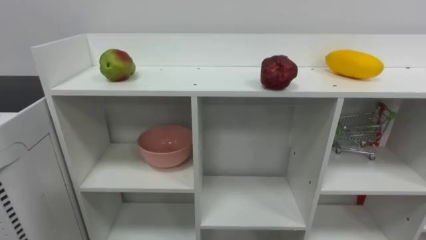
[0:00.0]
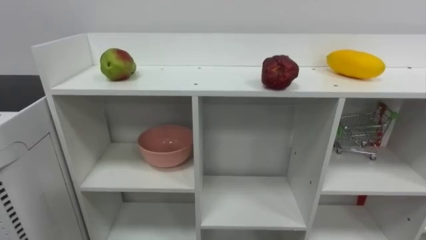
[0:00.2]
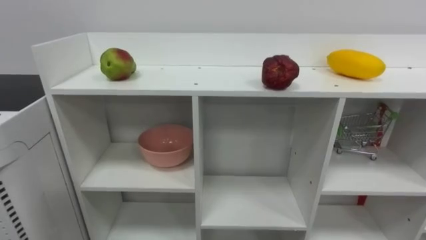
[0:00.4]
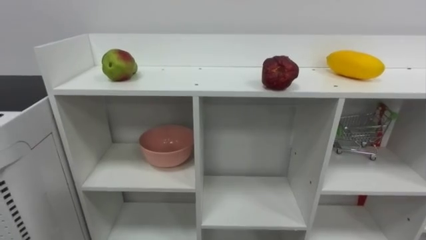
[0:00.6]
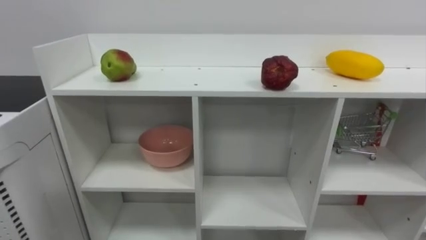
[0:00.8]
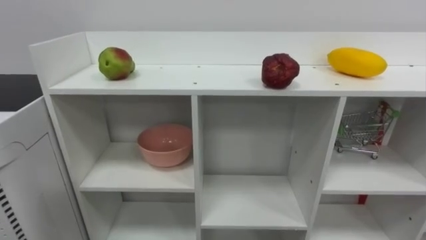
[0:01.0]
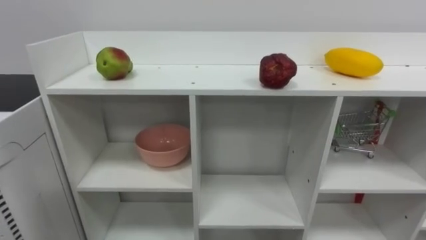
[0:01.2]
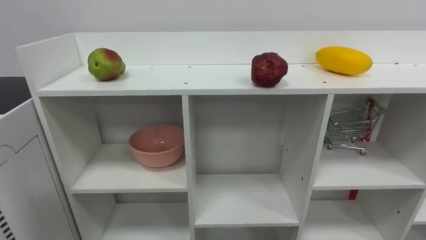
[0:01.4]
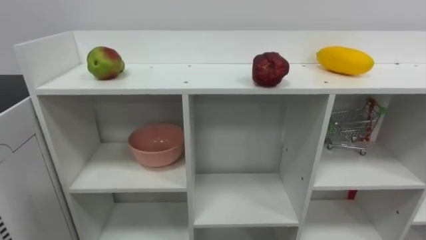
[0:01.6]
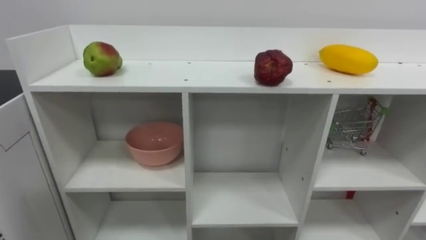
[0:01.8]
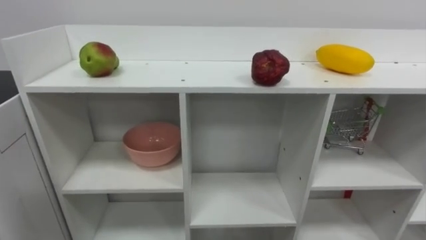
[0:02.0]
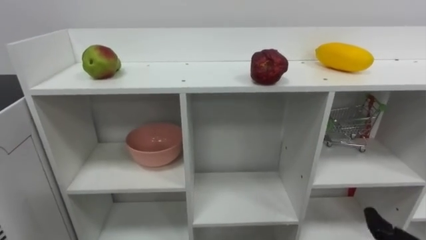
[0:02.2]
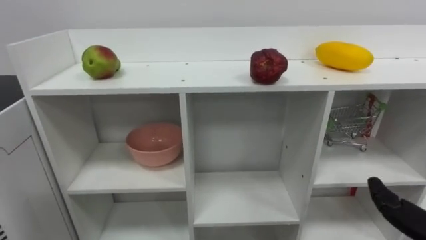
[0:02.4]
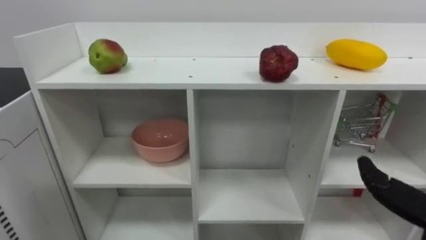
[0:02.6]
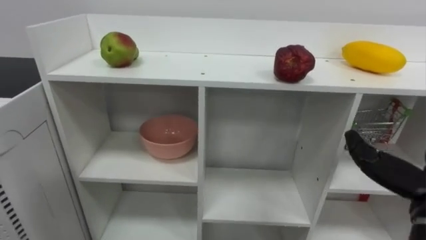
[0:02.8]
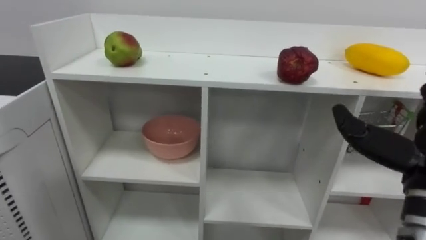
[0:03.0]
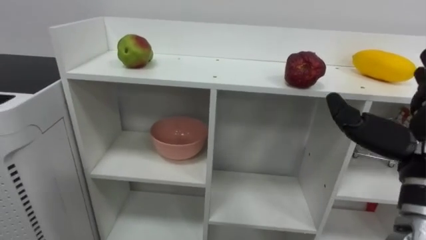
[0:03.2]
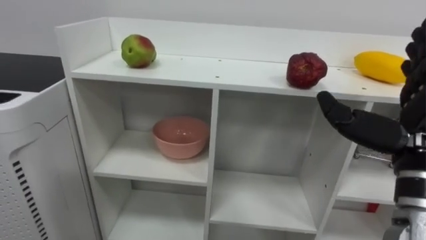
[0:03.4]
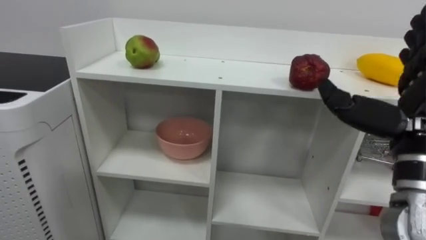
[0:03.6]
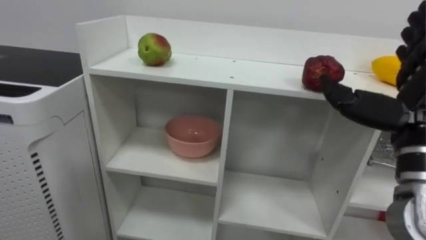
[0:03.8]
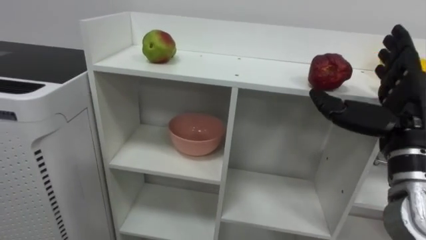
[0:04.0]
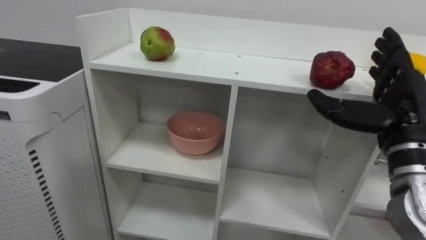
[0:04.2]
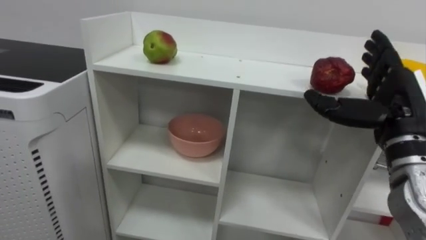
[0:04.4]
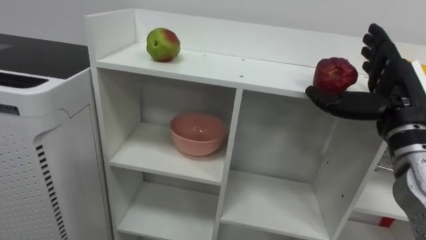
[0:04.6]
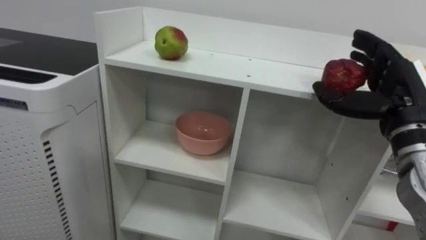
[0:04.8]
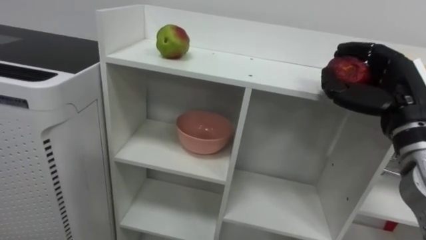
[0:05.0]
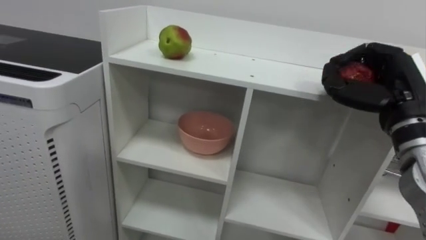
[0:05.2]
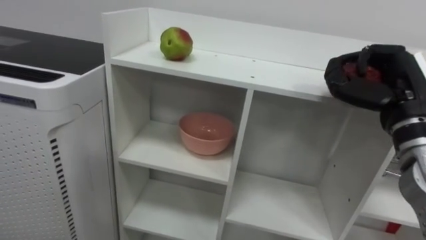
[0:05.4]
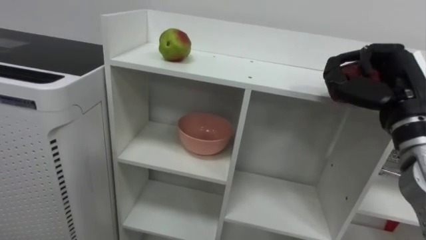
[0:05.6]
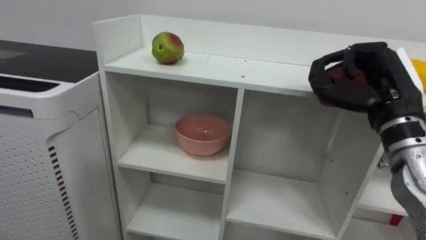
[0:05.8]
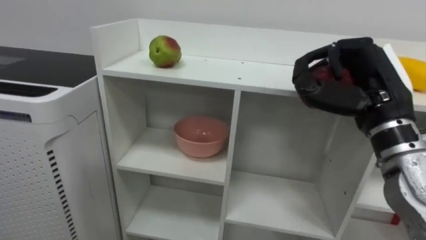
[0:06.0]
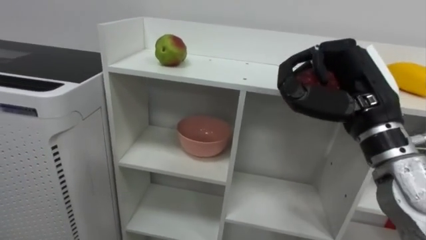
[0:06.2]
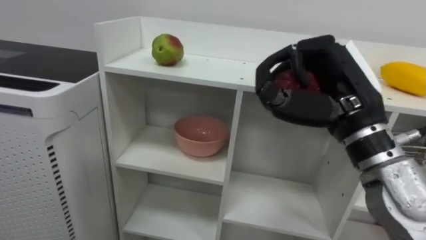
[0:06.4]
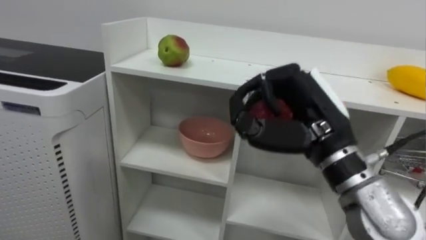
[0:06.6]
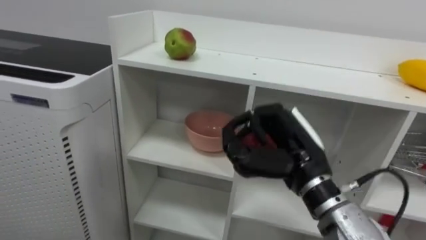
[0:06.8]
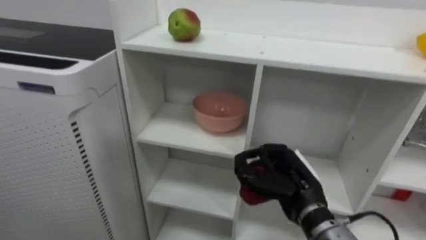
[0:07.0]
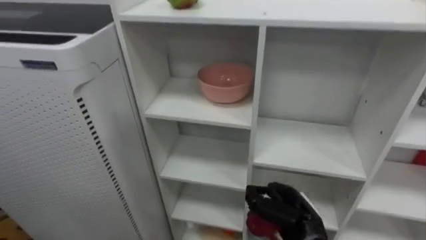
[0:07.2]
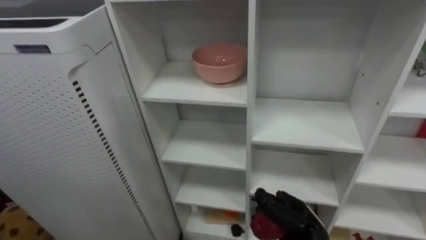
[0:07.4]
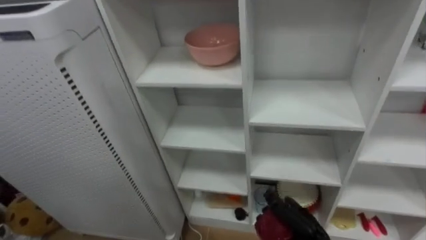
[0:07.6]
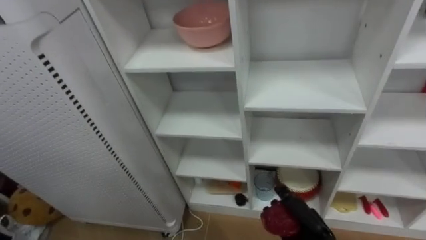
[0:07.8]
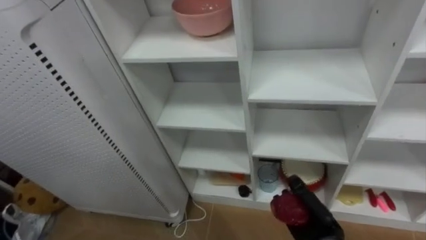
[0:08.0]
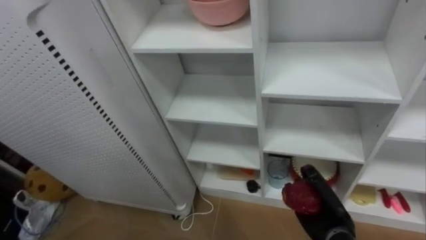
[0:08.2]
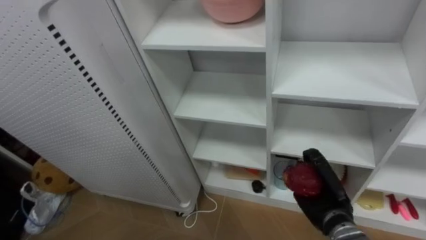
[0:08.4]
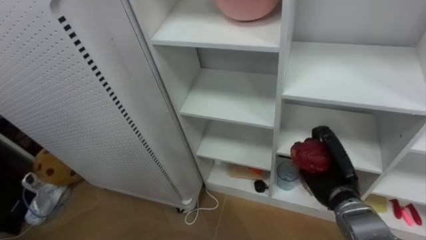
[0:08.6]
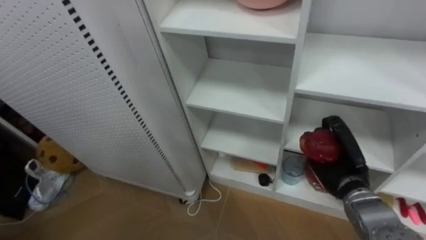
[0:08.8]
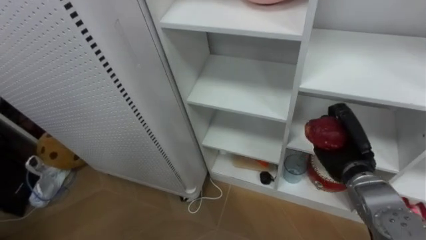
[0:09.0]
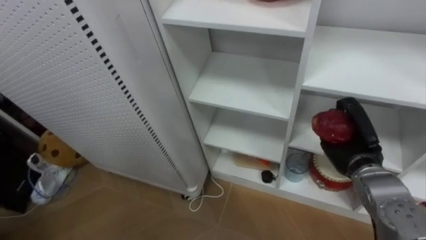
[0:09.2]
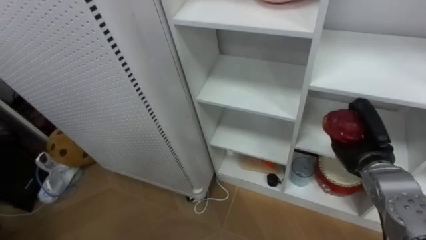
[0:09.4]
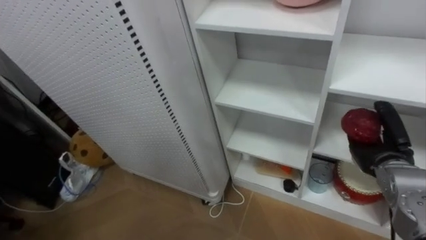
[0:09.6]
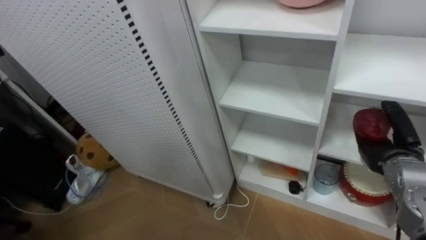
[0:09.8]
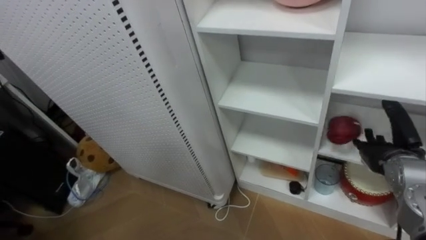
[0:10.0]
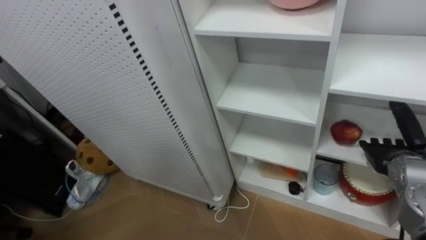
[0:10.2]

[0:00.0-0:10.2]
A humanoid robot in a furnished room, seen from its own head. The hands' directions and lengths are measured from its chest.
Task of the whole recording: Put the apple in the cell in the second column from the left and the second row from the top.
0:04.4 to 0:05.8: The right hand closes up.
0:05.8 to 0:07.2: The right hand moves downward and to the left, about 25 cm.
0:07.2 to 0:08.8: The right hand shifts approximately 10 cm to the right and forward.
0:08.8 to 0:10.2: The right hand travels to the right by roughly 10 cm, and opens.

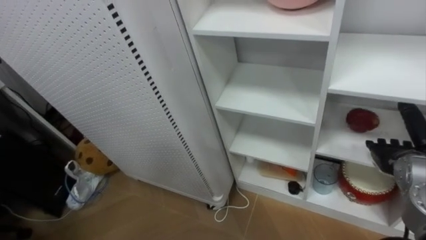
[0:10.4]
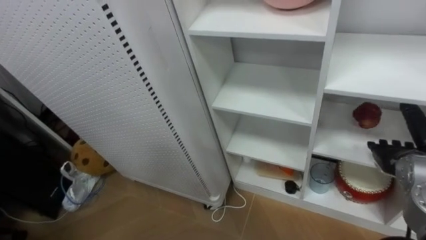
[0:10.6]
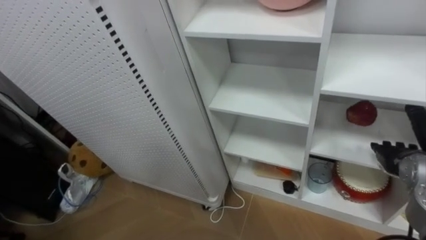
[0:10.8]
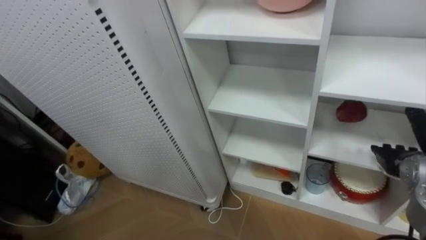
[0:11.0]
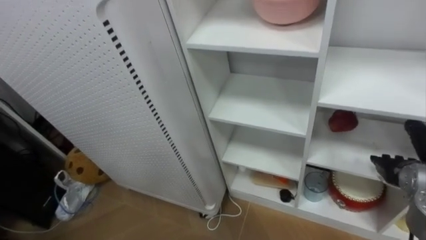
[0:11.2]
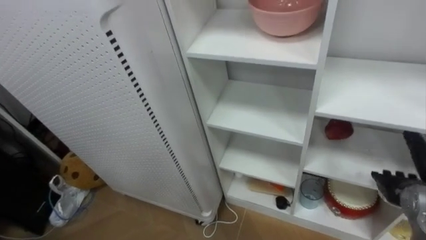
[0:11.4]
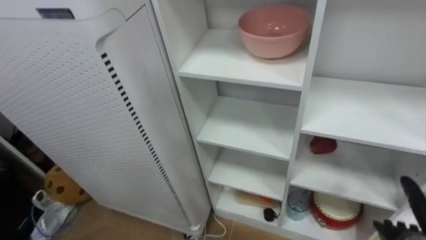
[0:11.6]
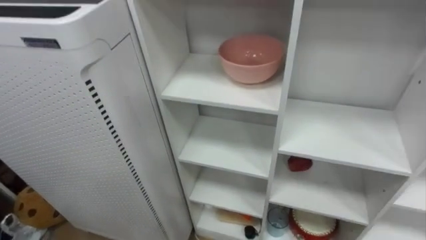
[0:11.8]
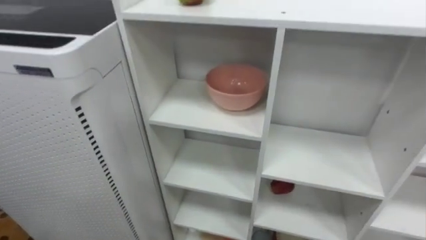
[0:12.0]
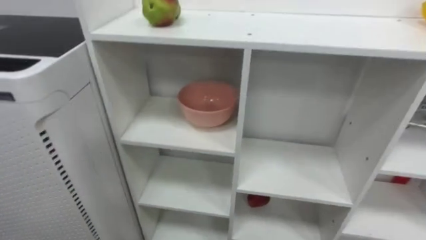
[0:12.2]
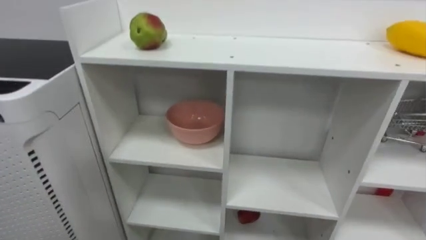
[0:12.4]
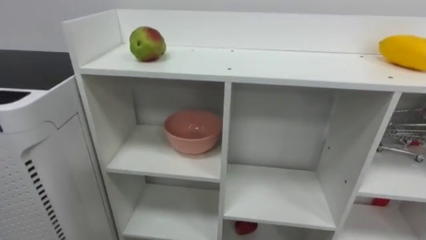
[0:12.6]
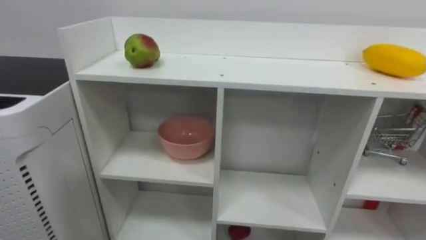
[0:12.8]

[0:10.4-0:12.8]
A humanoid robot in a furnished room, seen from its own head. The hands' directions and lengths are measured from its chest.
Task of the whole recording: Put the apple in the cell in the second column from the left and the second row from the top.
0:10.4 to 0:11.6: The right hand shifts roughly 15 cm downward and backward.

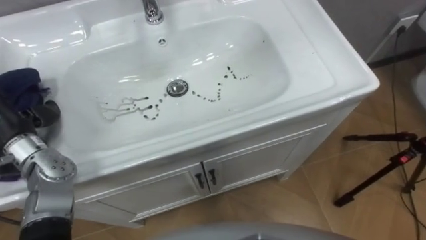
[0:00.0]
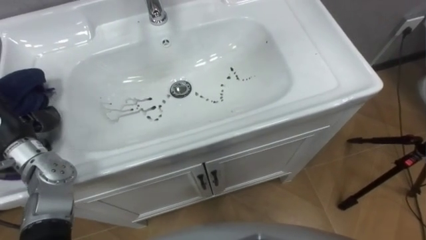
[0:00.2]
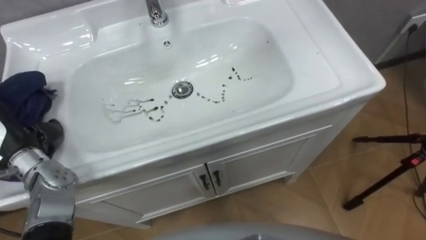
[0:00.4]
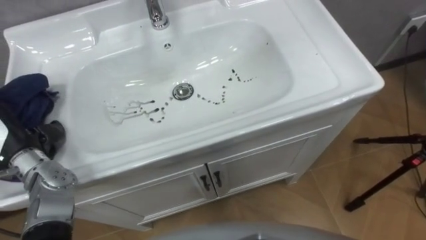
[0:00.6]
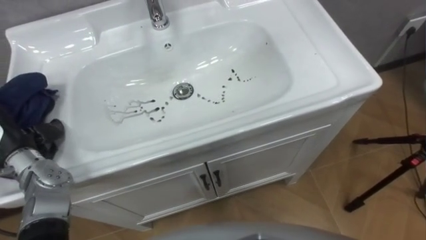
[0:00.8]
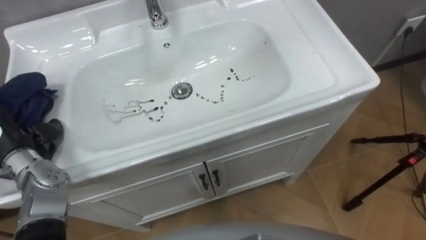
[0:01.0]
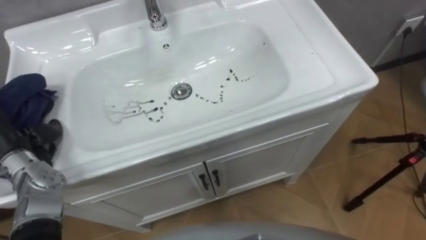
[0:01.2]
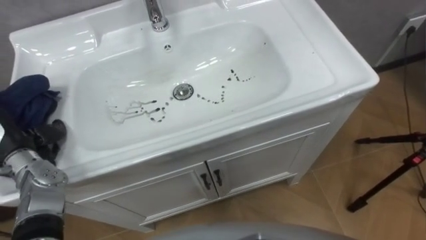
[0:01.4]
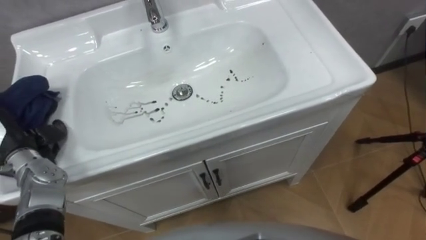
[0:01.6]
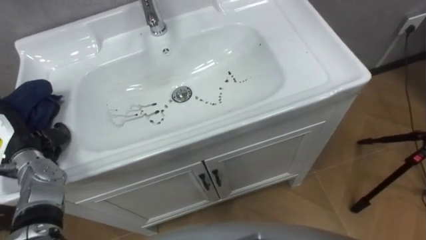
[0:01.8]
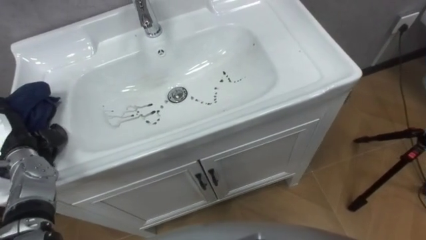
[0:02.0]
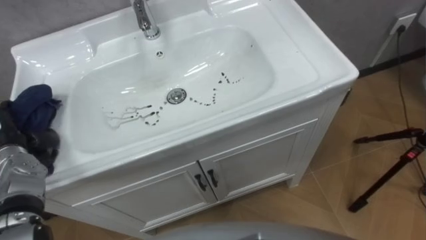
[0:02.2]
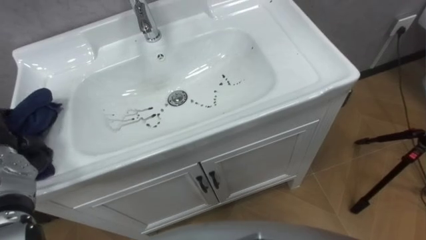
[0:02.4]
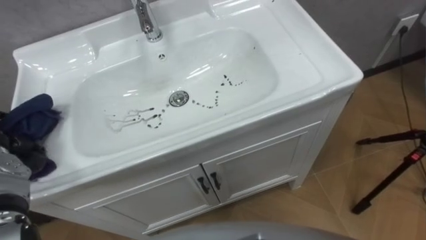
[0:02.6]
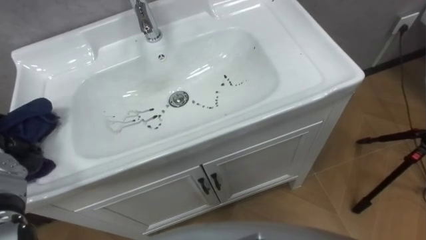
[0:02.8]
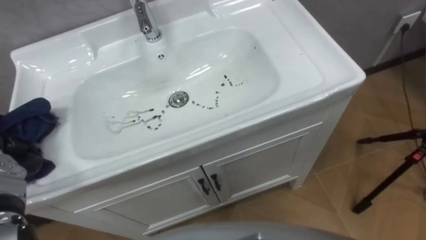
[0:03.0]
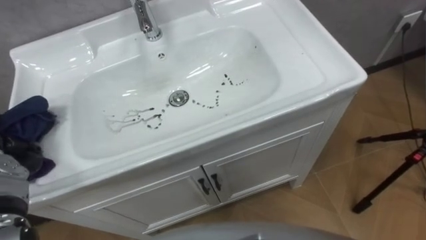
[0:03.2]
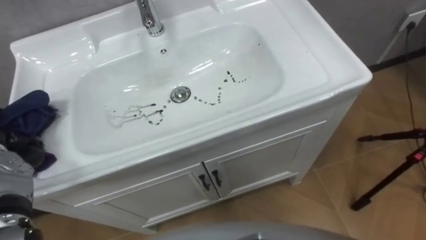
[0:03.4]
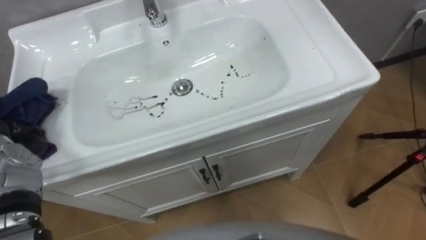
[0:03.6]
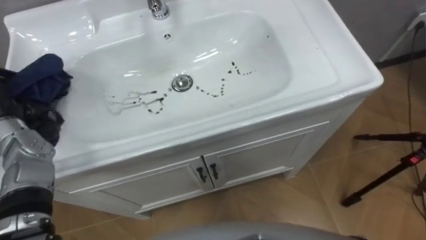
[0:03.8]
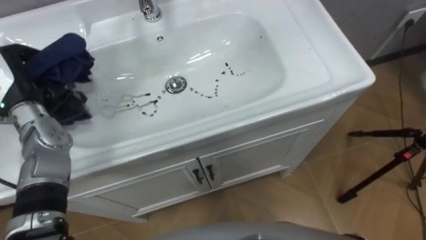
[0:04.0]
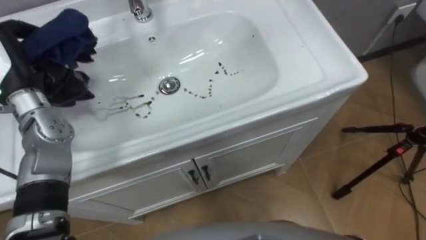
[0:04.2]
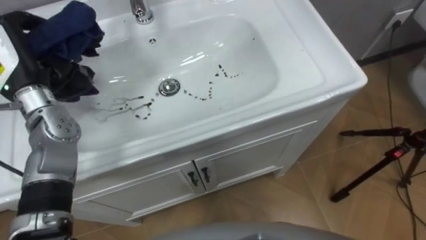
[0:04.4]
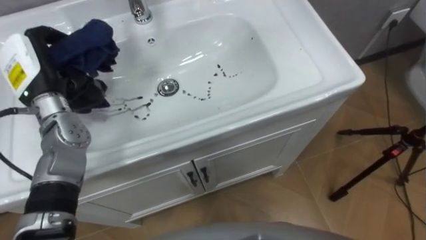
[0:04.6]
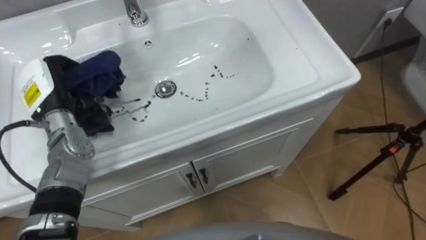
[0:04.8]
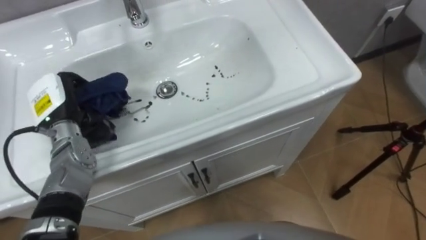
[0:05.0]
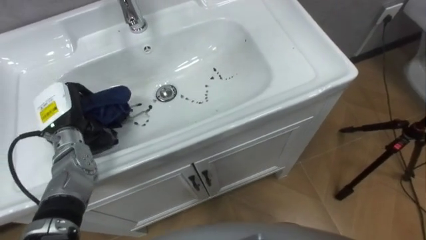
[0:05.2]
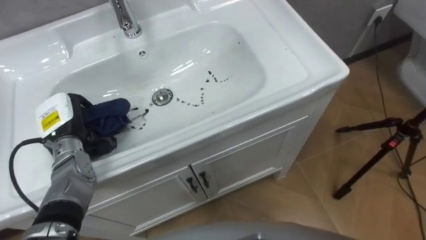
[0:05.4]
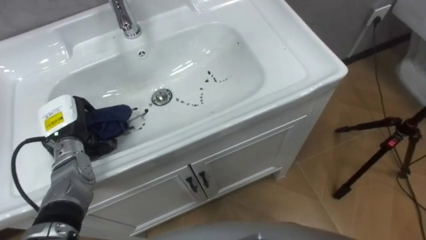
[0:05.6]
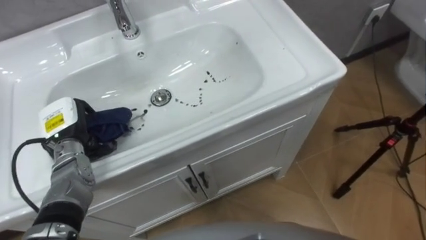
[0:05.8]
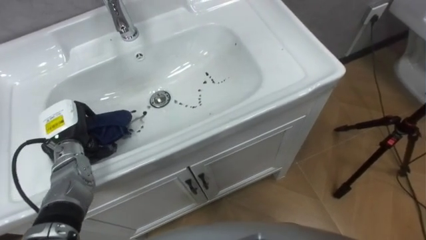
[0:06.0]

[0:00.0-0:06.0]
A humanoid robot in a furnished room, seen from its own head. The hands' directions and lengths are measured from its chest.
Task of the whole recording: Use the cloth on the right to wipe away the black stain in the sink.
0:04.4 to 0:06.0: The left hand shifts some 15 cm downward.
